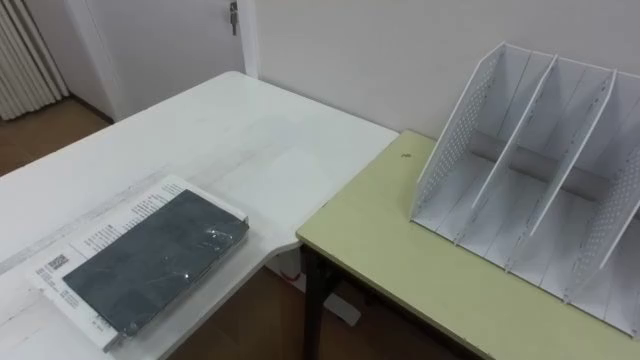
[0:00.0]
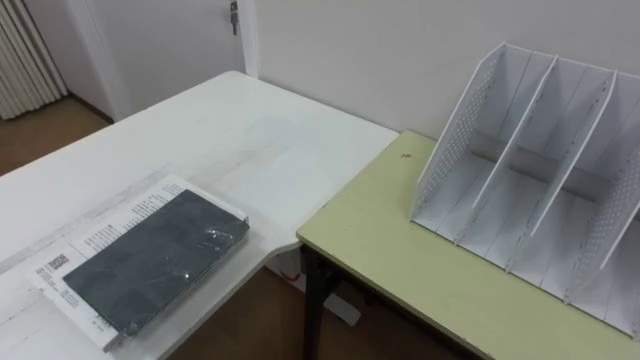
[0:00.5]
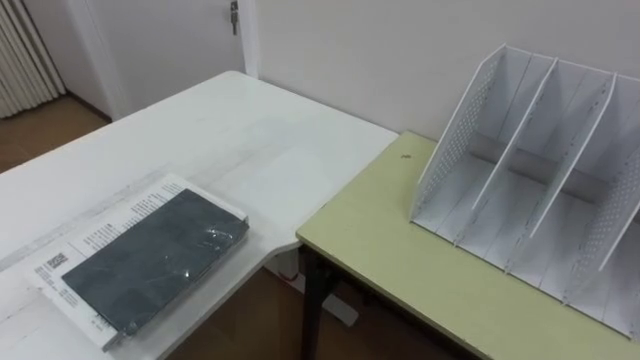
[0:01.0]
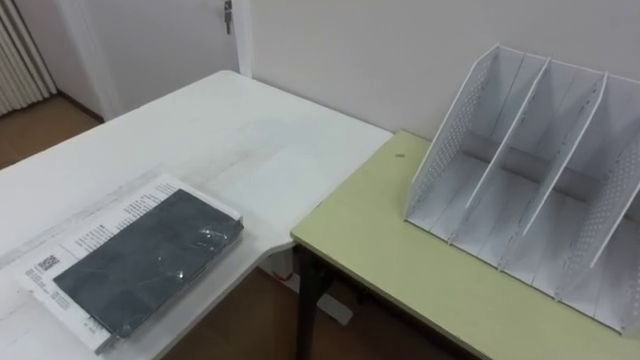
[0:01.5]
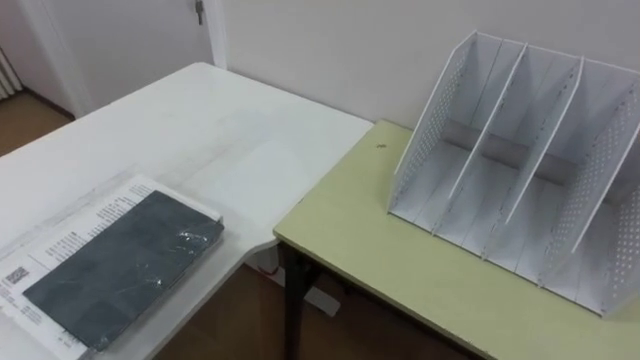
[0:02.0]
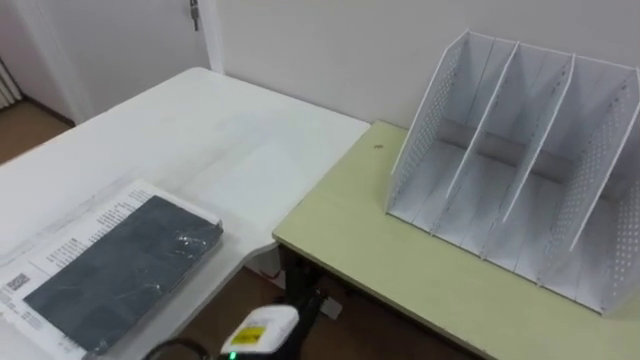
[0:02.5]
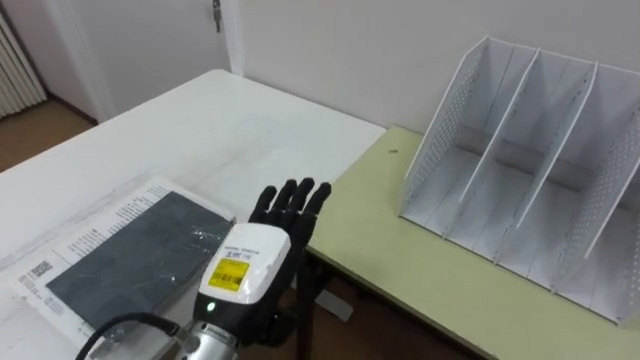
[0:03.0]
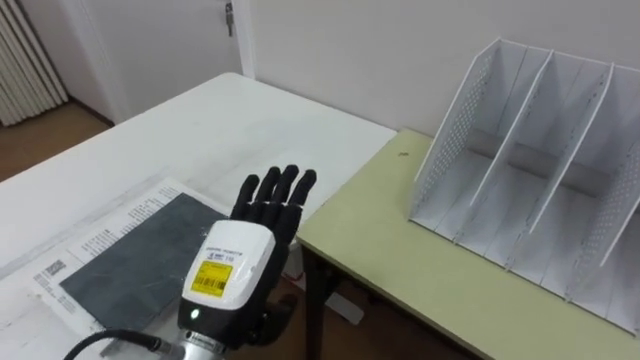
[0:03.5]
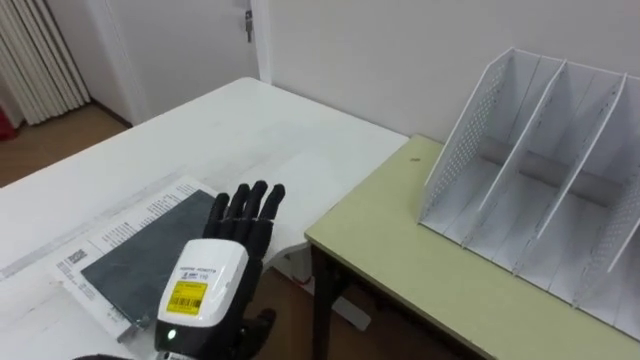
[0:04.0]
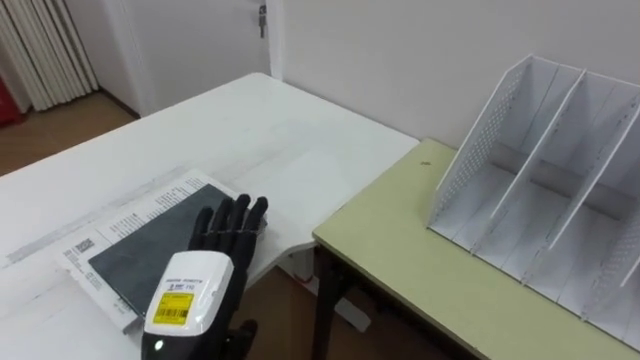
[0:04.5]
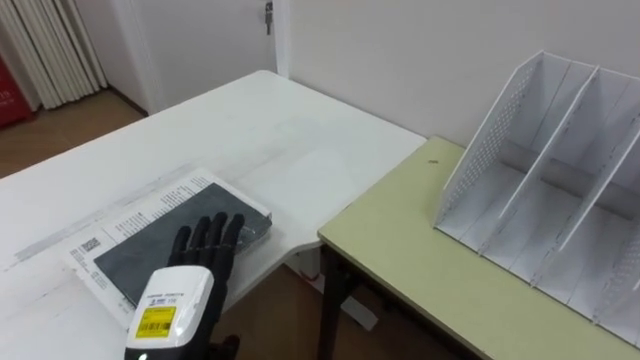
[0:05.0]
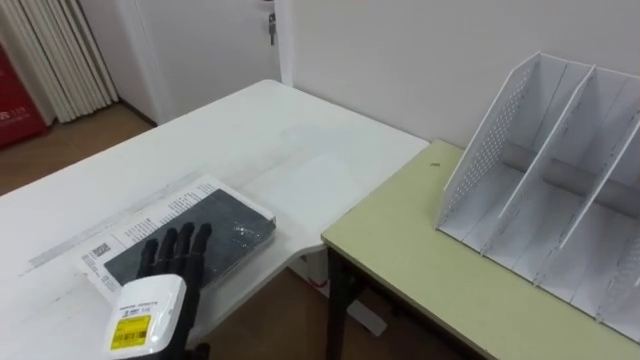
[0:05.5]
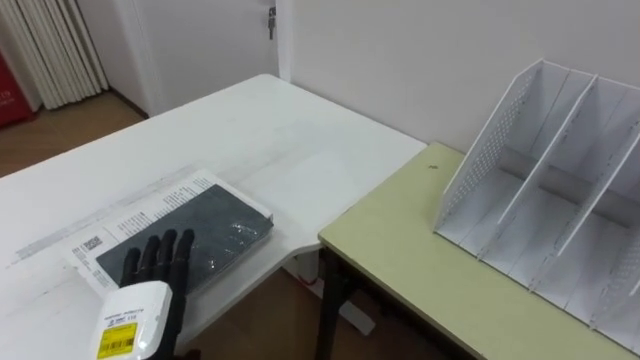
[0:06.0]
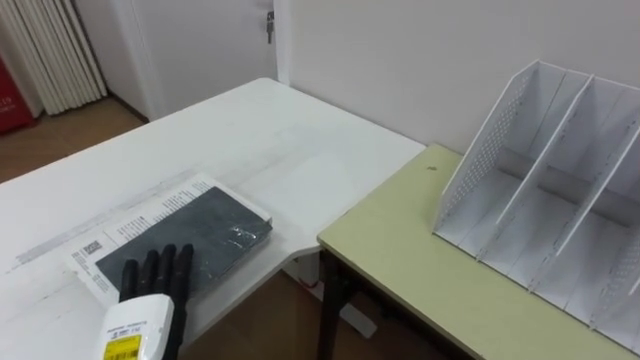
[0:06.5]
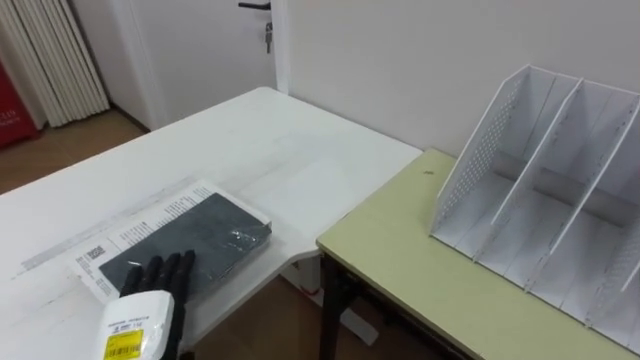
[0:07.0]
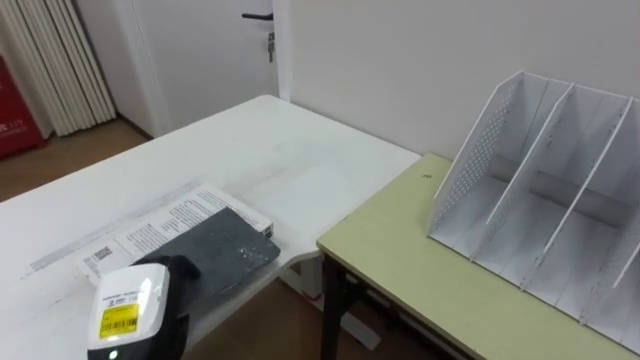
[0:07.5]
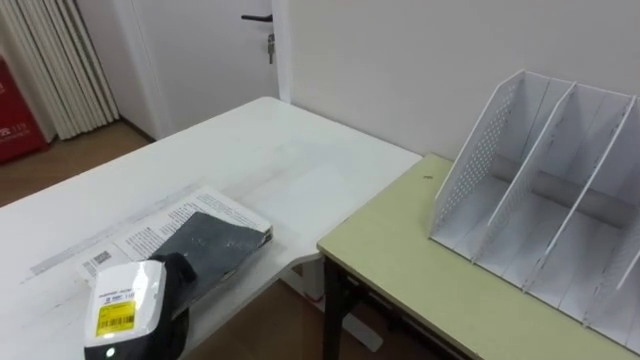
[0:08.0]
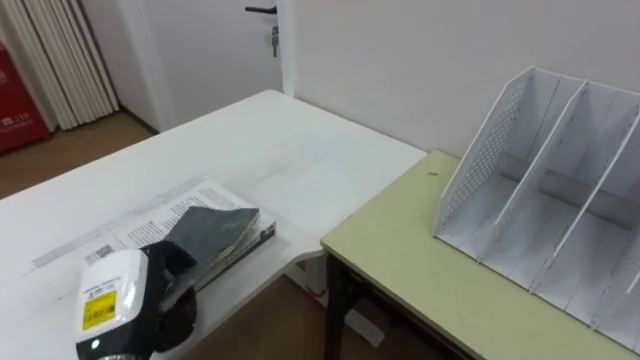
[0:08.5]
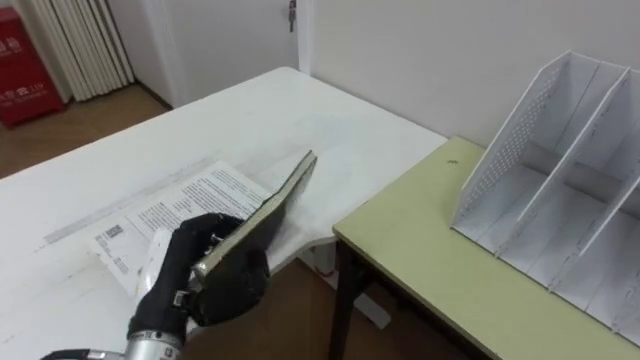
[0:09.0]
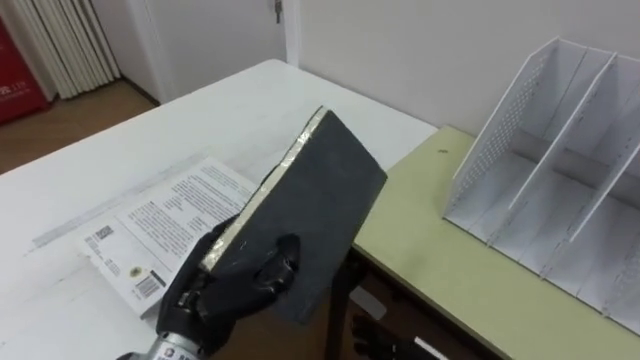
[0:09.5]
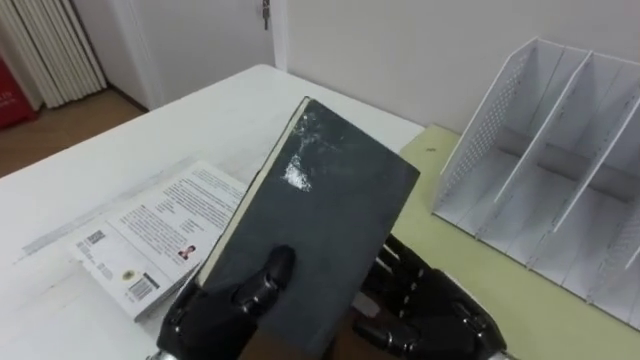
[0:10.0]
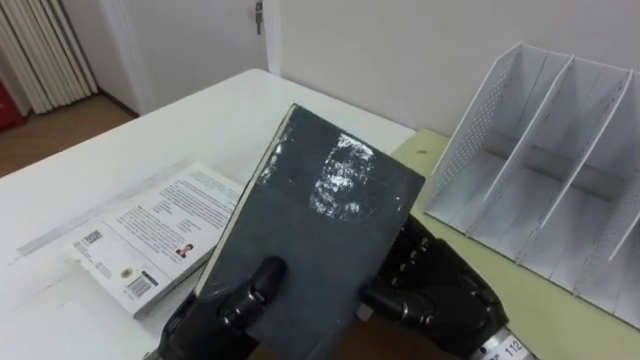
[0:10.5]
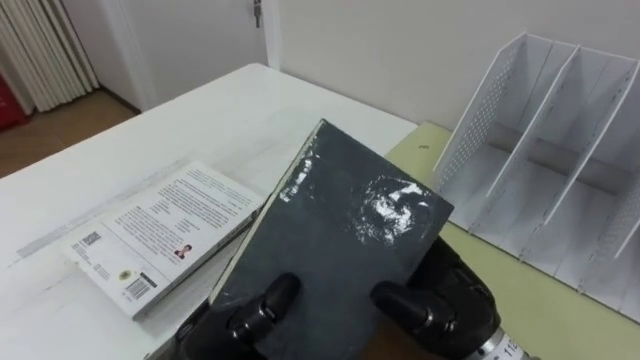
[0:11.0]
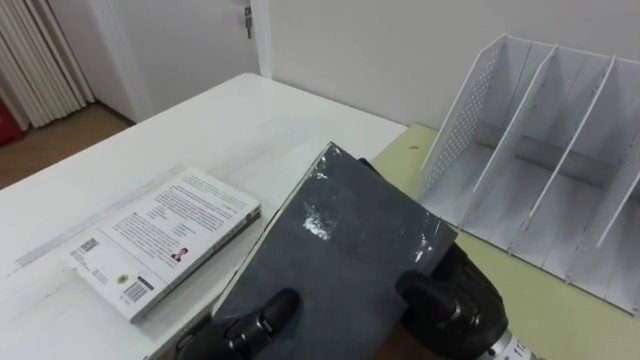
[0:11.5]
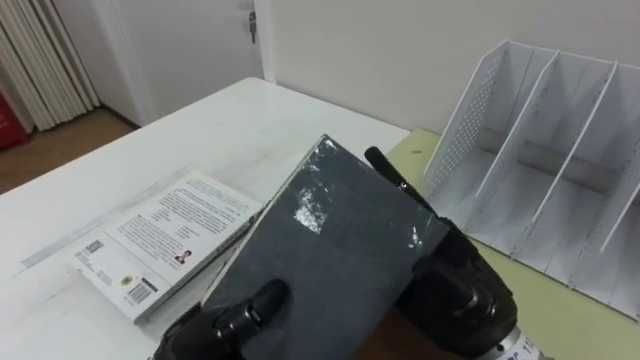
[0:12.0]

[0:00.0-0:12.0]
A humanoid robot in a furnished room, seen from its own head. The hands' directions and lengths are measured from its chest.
Task of the whole recording: Put the books on the table onto the bookshelf.
0:04.0 to 0:06.0: The left hand moves to the left and downward, roughly 10 cm.
0:06.0 to 0:08.0: The left hand closes up.
0:08.0 to 0:10.0: The left hand is displaced to the right by approximately 10 cm.
0:10.0 to 0:12.0: The right hand heads upward, covering about 10 cm.

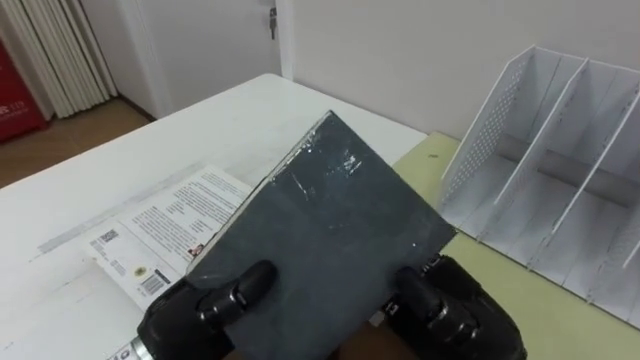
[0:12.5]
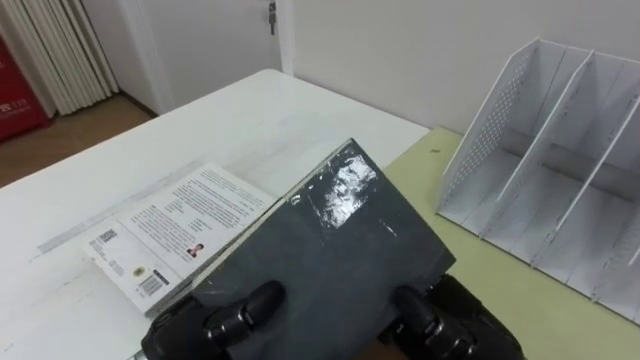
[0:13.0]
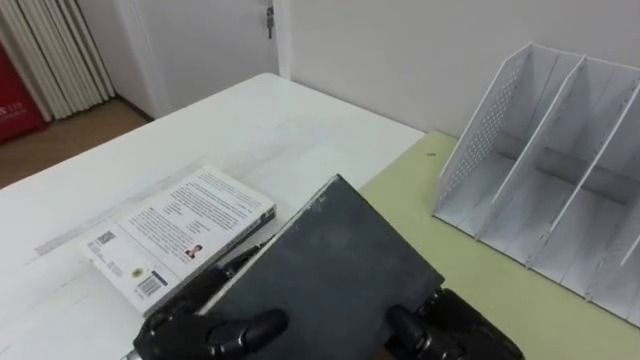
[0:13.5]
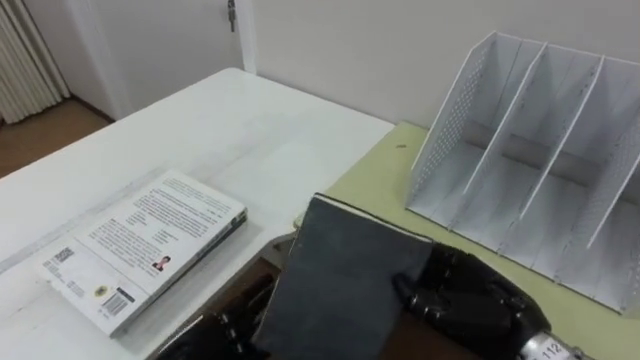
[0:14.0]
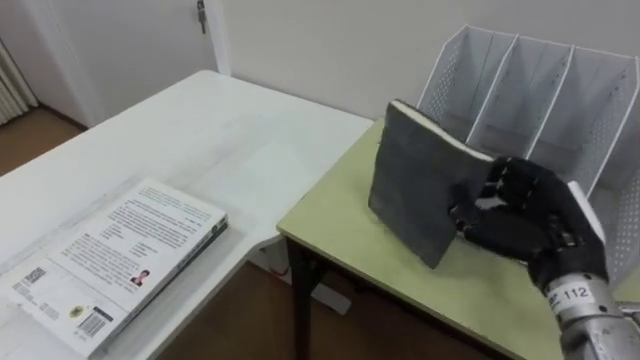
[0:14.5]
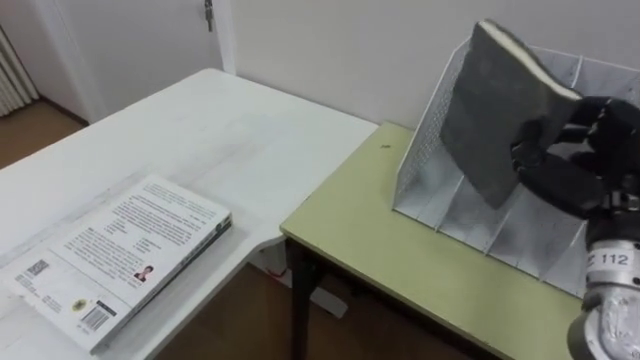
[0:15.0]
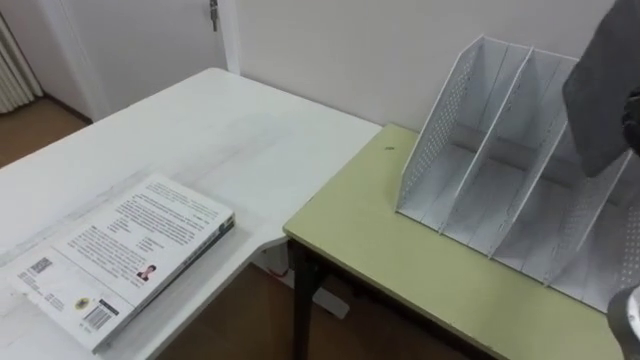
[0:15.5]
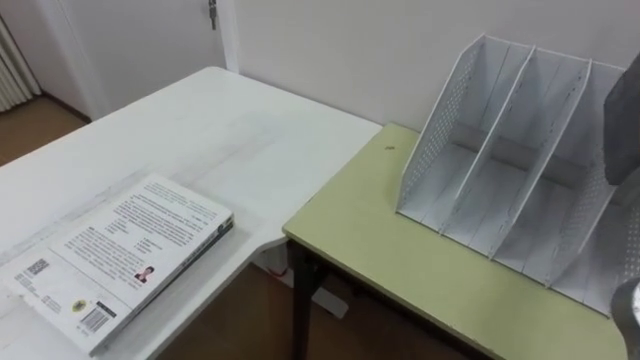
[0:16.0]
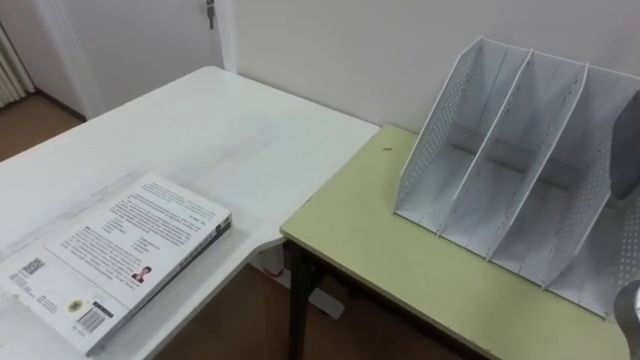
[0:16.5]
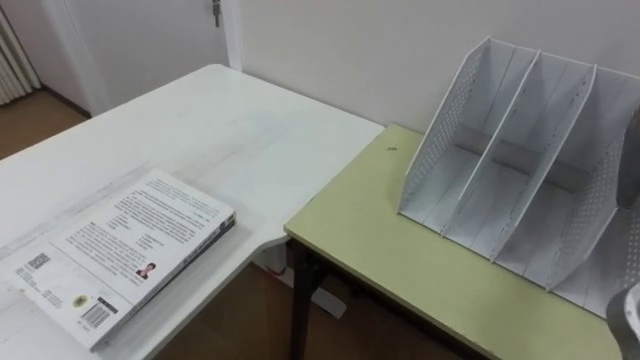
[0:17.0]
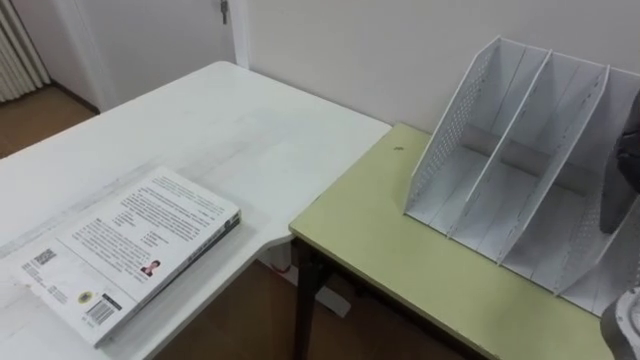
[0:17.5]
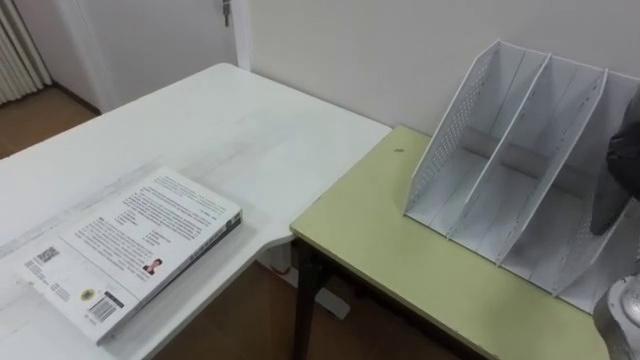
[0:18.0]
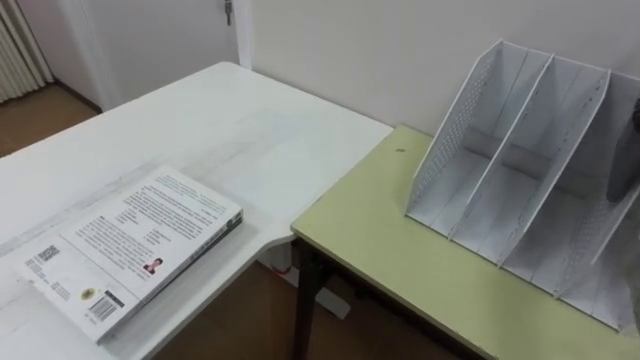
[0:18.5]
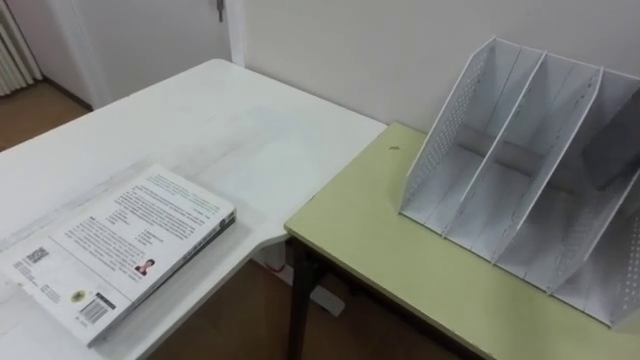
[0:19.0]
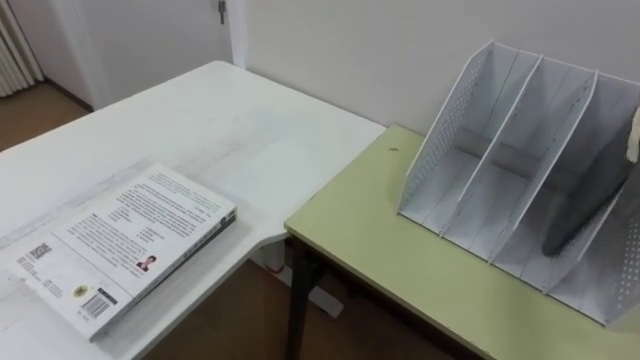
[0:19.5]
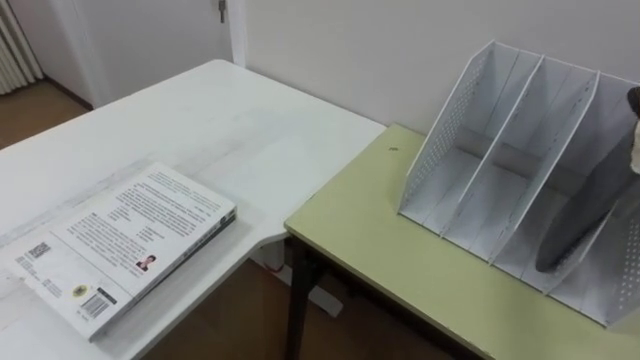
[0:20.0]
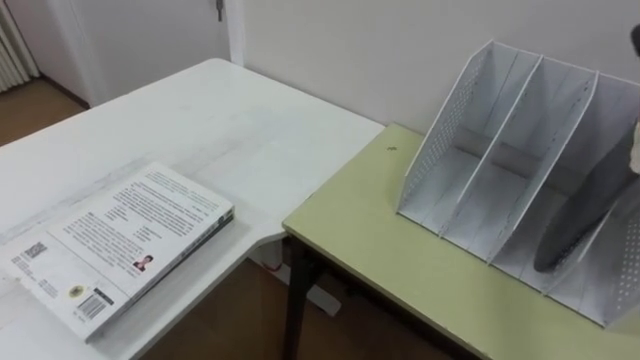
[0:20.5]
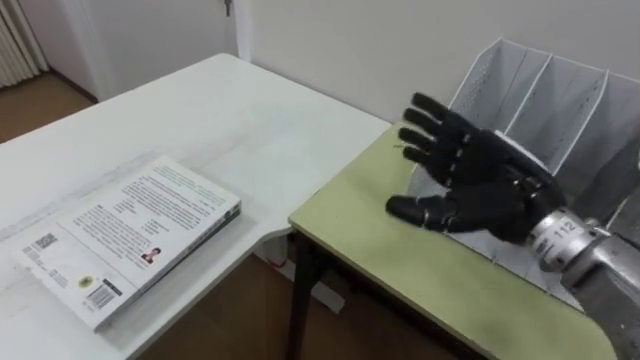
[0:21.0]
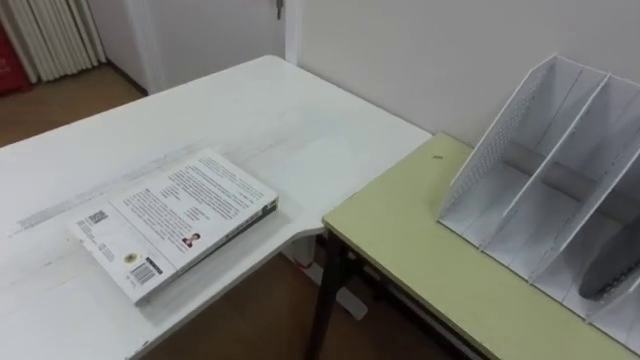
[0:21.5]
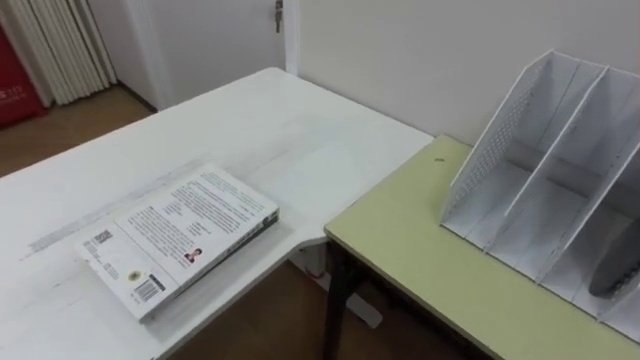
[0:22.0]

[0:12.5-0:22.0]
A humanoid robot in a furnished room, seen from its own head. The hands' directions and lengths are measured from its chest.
Task of the whole recording: Put the books on the table onto the bookshelf.
0:12.5 to 0:14.5: The right hand shifts roughly 15 cm to the right and forward.
